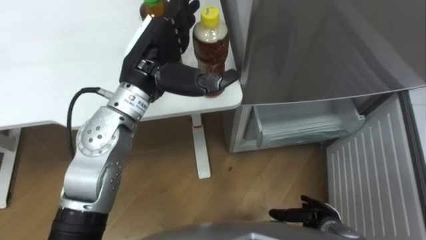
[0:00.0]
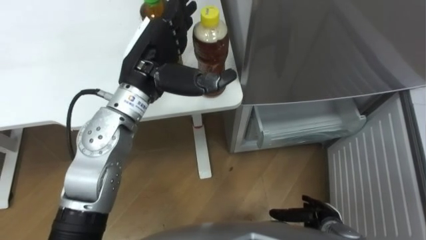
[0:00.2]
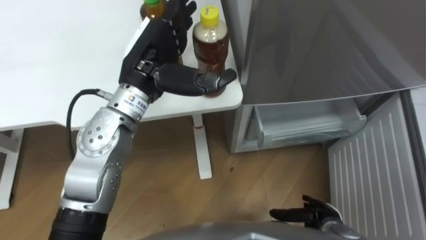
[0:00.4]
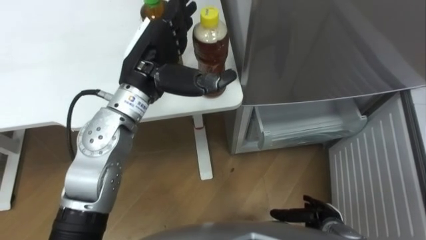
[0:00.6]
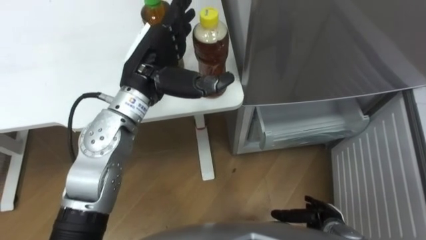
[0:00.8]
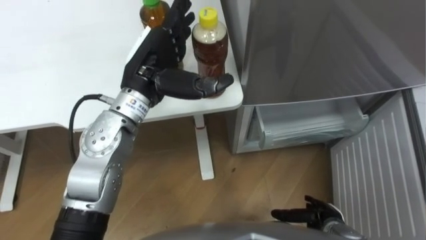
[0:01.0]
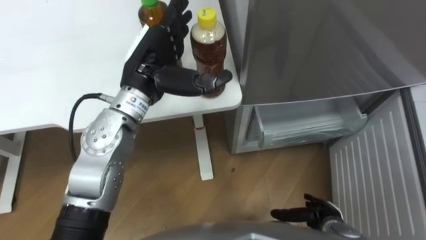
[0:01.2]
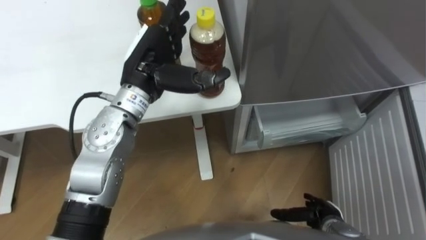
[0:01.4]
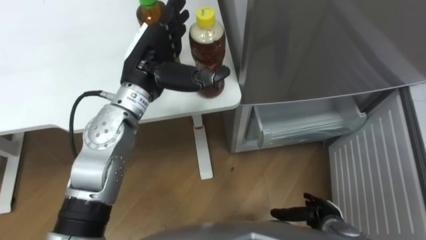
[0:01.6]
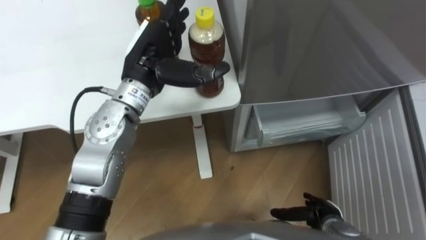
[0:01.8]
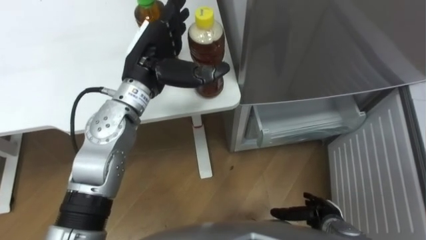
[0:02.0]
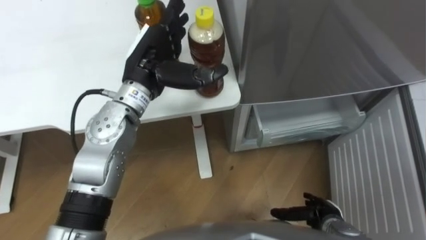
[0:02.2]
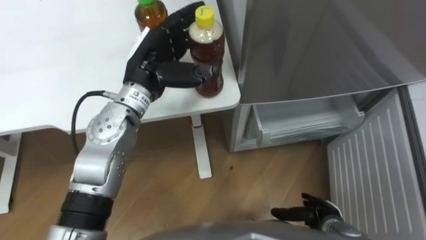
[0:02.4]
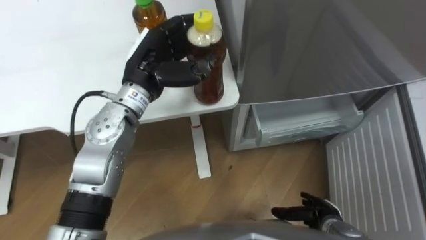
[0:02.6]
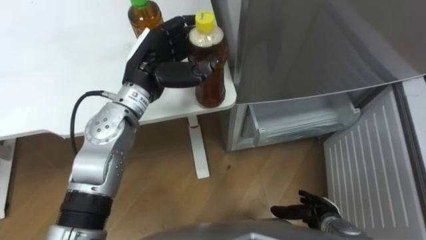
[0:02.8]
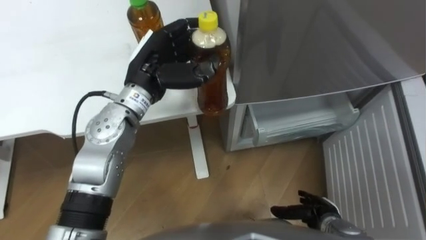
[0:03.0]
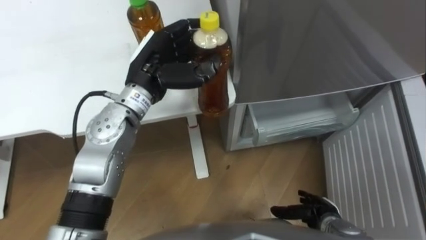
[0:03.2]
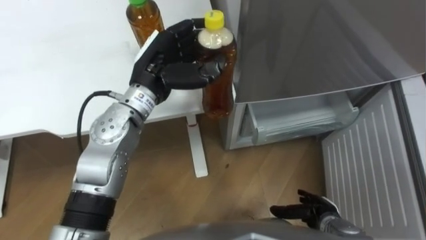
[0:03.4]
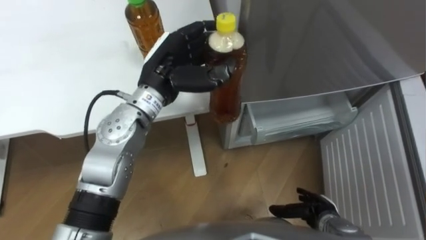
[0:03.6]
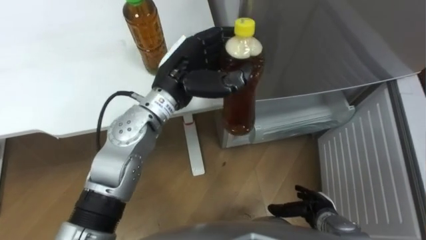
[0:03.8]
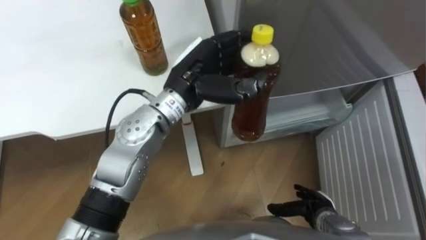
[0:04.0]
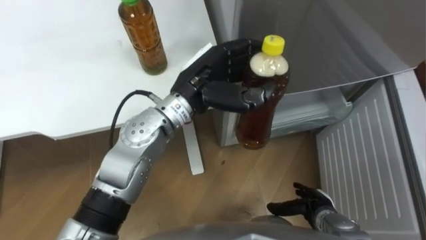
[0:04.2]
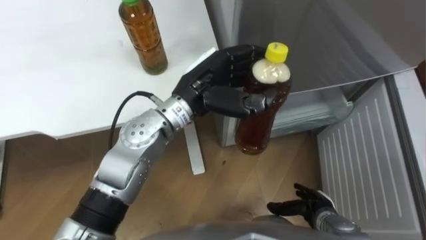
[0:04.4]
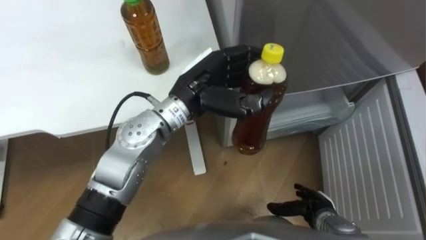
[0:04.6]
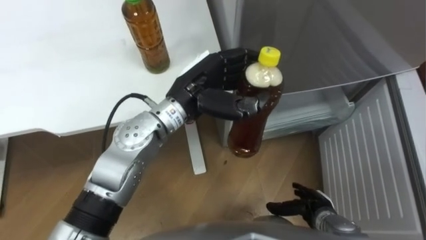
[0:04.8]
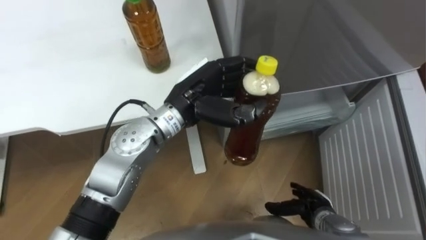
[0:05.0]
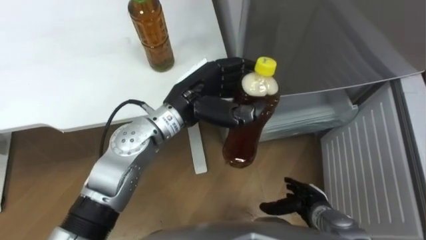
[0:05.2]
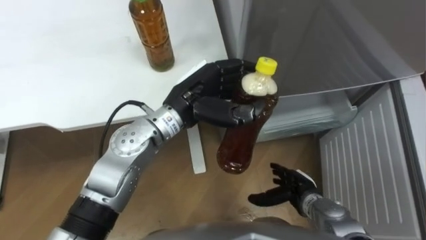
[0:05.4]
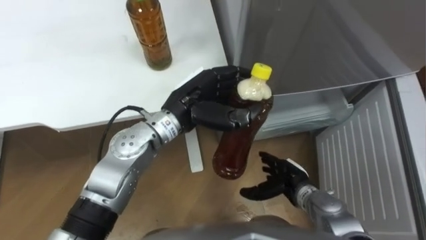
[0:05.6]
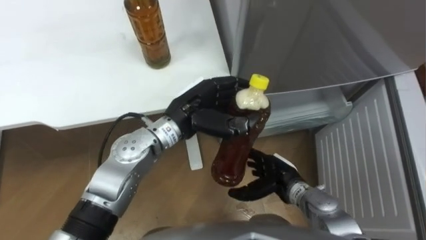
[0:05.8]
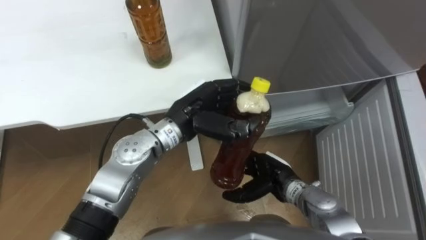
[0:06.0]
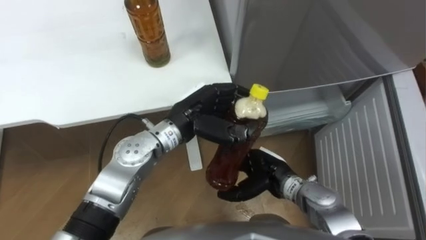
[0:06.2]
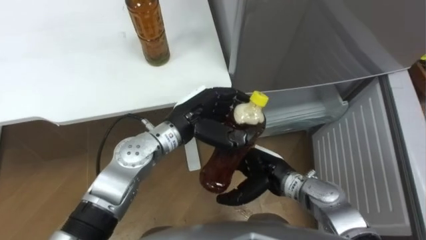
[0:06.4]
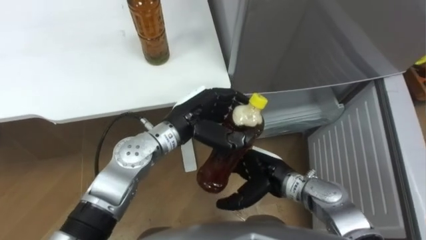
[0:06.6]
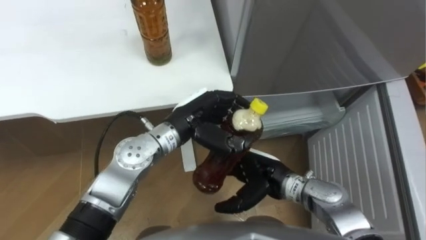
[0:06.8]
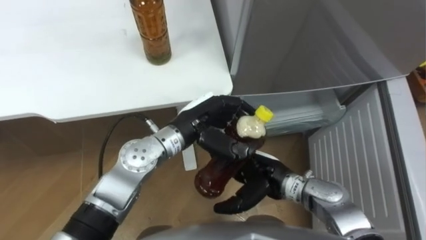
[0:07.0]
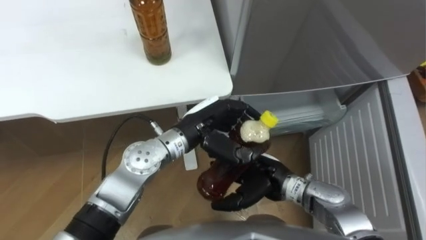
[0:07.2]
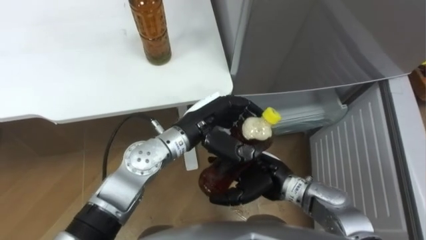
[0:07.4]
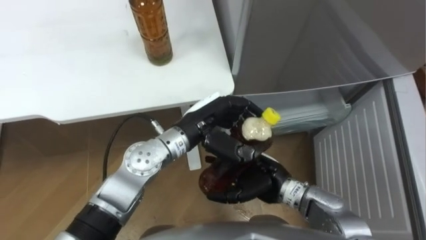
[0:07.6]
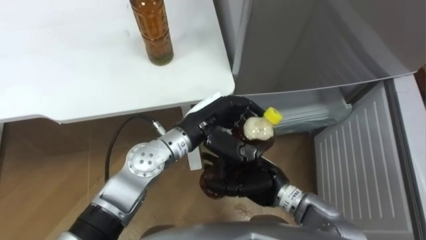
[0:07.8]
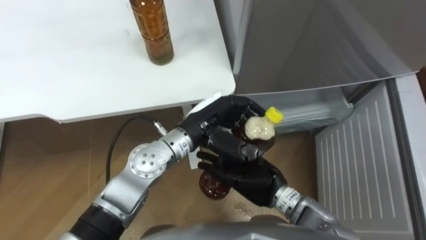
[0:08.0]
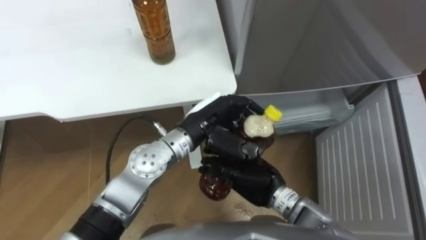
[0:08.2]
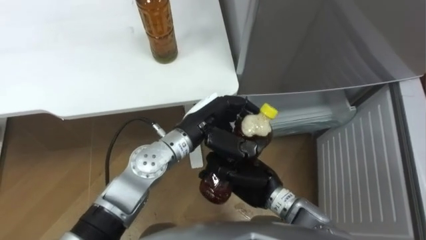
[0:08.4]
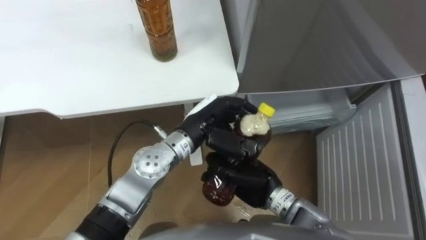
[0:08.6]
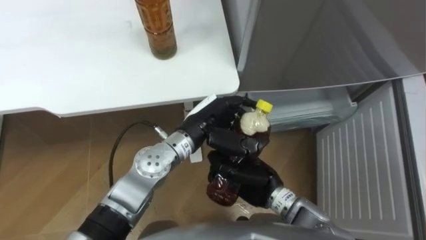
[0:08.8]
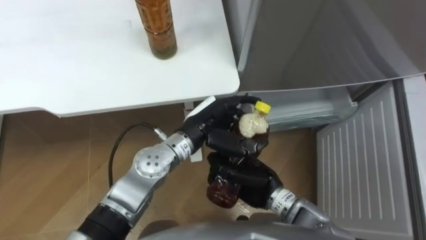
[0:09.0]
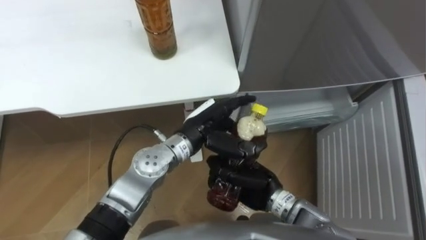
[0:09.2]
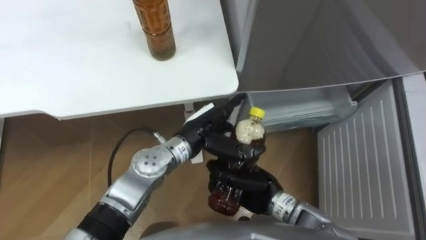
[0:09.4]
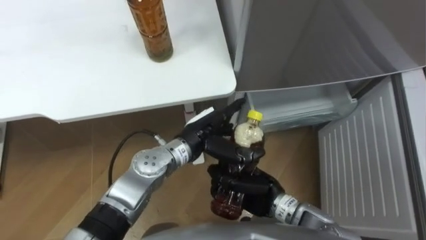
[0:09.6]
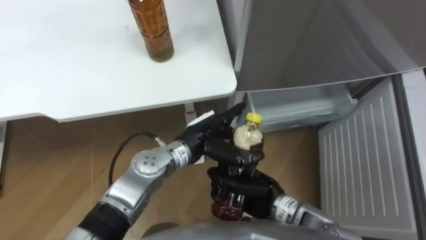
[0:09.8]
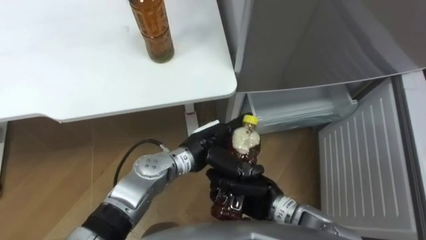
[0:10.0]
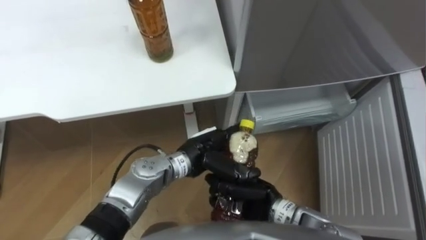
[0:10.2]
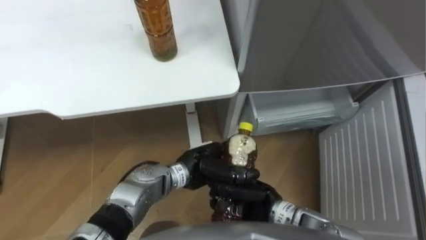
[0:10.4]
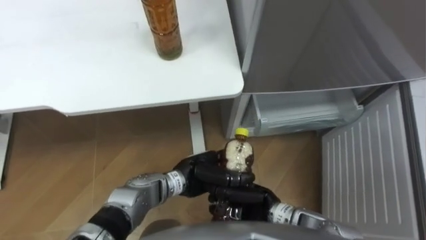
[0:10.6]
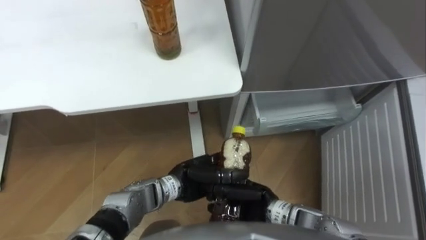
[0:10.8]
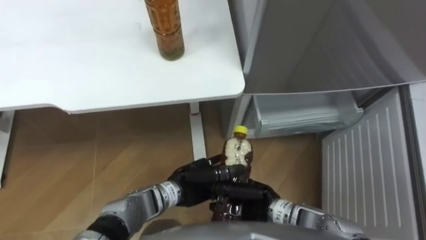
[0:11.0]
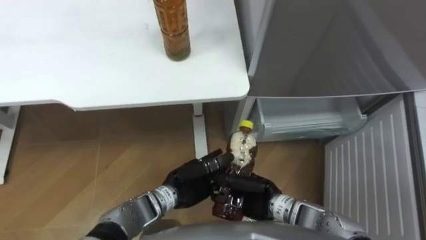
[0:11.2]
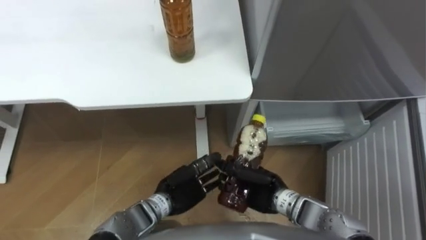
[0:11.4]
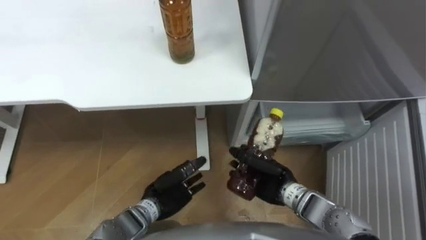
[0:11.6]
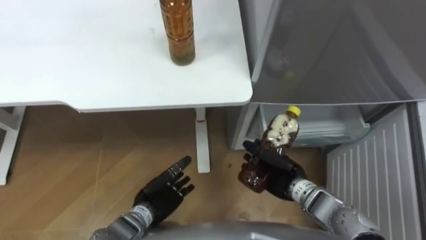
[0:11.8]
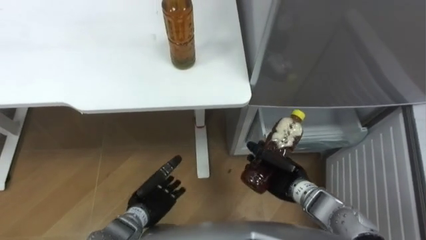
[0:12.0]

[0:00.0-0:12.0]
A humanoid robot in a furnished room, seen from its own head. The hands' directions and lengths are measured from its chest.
Task of the whole recording: Place the drink on the table on the bottom shelf of the refrigerator, then close the drawer and the refrigerator door.
0:00.0 to 0:01.6: There are only small adjustments of the hands.
0:01.6 to 0:03.0: The left hand closes.
0:03.0 to 0:04.4: The left hand moves to the right, roughly 10 cm.
0:04.4 to 0:06.0: The right hand goes roughly 15 cm to the left, upward and forward, while the left hand is displaced downward by roughly 5 cm.
0:06.0 to 0:07.6: The right hand heads upward, covering approximately 5 cm.
0:07.6 to 0:09.0: The right hand closes its fingers.
0:09.0 to 0:10.4: The left hand moves downward, approximately 10 cm, and opens.
0:10.4 to 0:12.0: The right hand is displaced to the right by approximately 10 cm. Meanwhile the left hand shifts approximately 15 cm to the left, downward and backward.

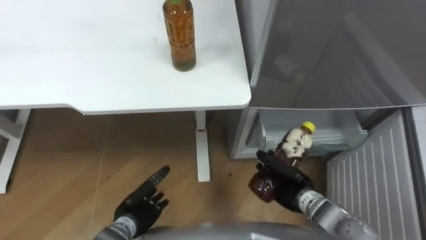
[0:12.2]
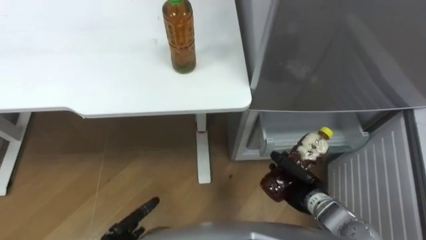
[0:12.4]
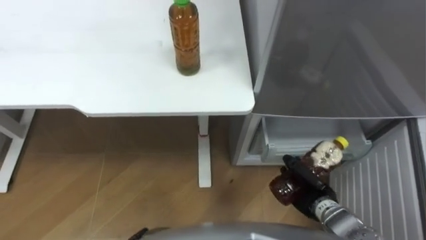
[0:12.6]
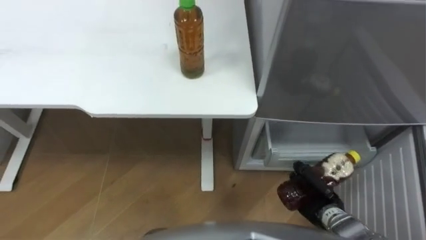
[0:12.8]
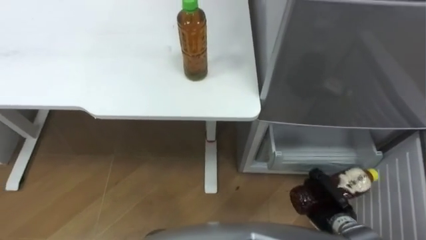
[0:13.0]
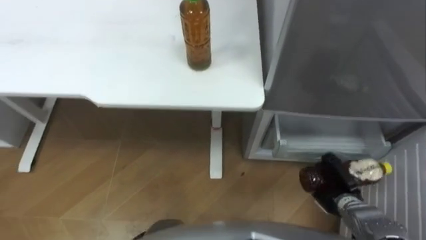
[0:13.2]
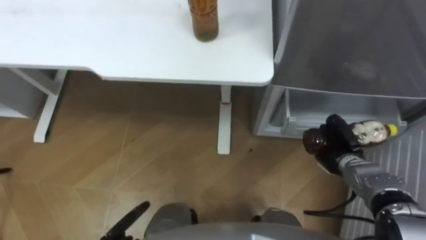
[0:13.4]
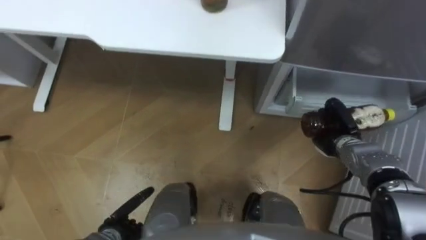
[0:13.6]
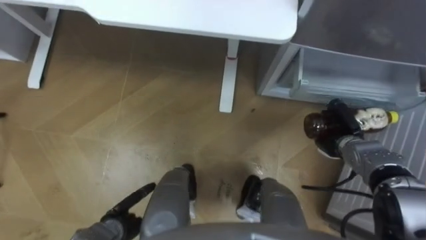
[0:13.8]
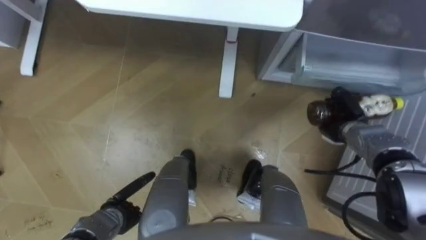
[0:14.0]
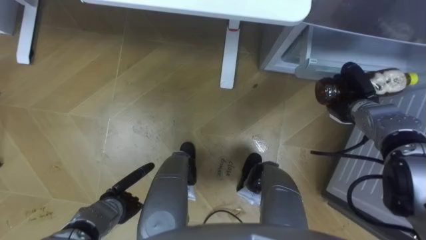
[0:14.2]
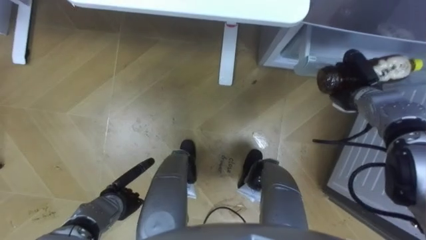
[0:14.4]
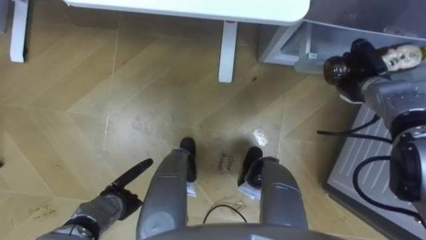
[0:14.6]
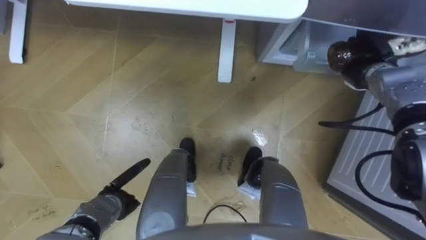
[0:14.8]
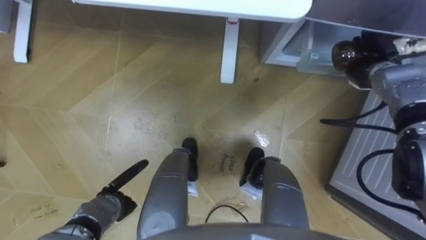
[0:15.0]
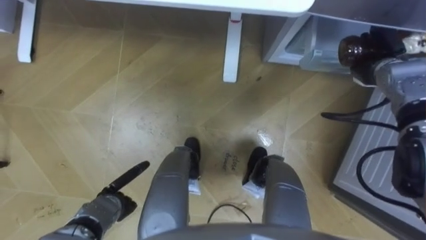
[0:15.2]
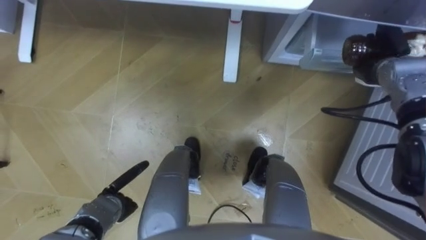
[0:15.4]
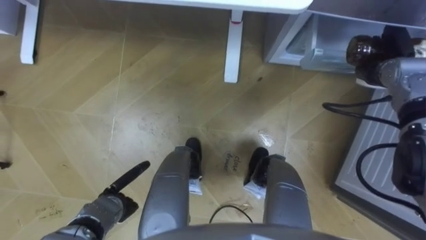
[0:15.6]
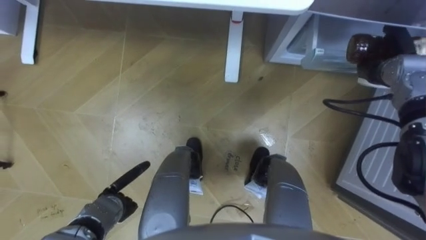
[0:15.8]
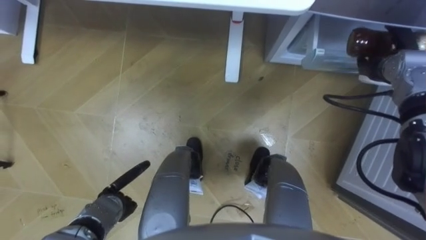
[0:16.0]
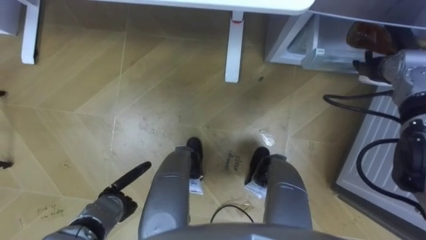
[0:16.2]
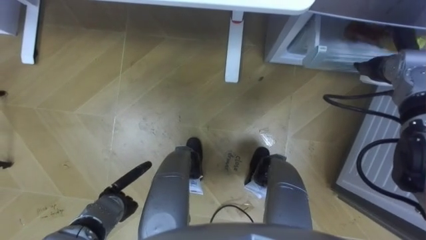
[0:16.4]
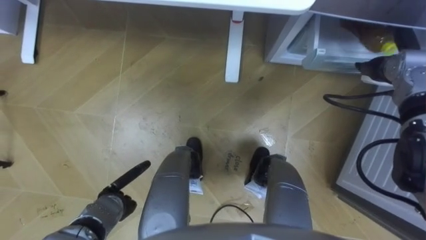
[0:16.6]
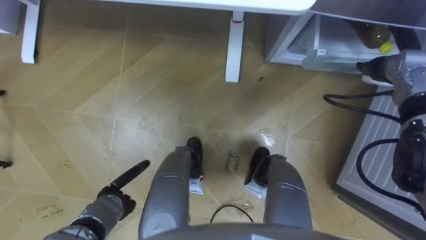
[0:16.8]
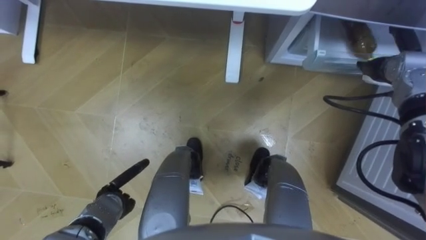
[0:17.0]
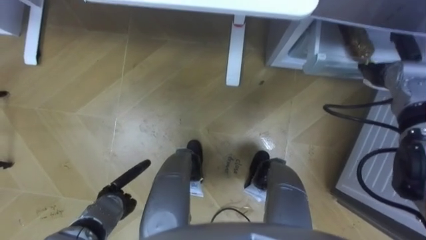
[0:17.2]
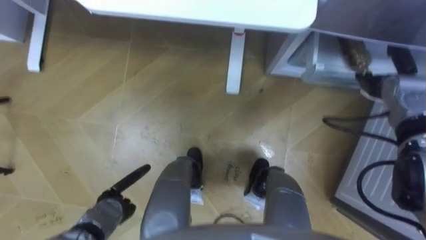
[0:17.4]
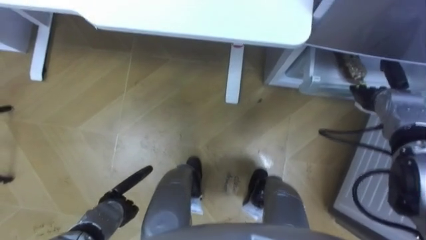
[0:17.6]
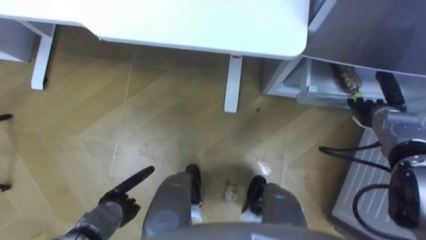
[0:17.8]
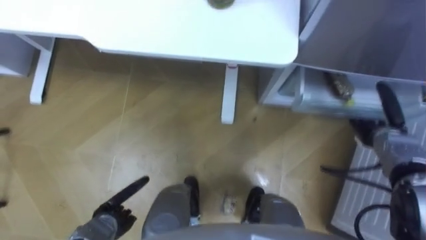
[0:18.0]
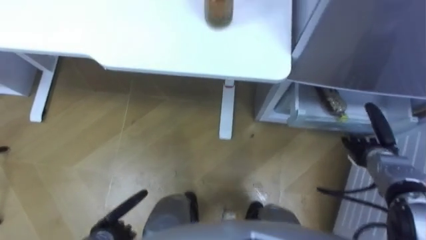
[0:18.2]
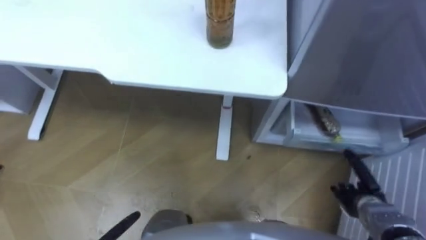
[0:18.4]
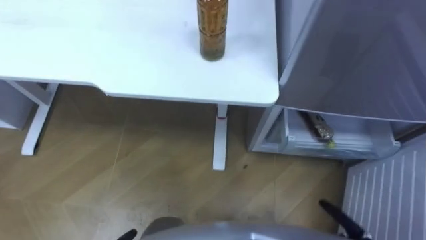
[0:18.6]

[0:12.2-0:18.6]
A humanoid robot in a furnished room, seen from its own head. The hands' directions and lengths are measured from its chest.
Task of the whole recording: Place the drink on the table on the bottom shelf of the refrigerator, then close the drawer and the refrigerator door.
0:12.2 to 0:13.8: The right hand heads to the right and forward, covering roughly 15 cm.
0:13.8 to 0:15.4: The left hand shifts by roughly 5 cm; the right hand moves upward and forward, about 15 cm.
0:15.4 to 0:17.0: The right hand opens.
0:17.0 to 0:18.6: The right hand heads backward and downward, covering some 40 cm.
